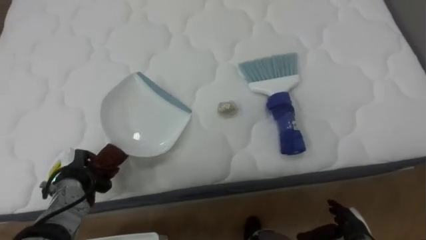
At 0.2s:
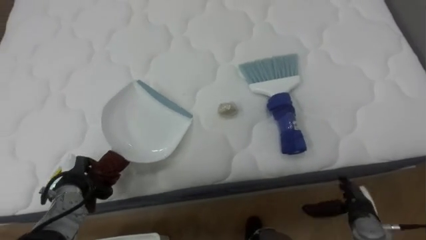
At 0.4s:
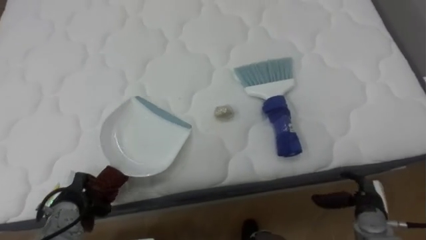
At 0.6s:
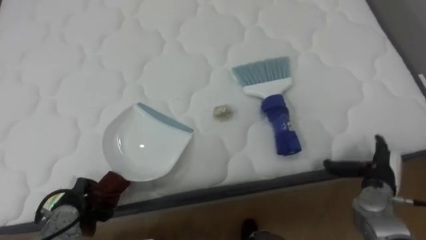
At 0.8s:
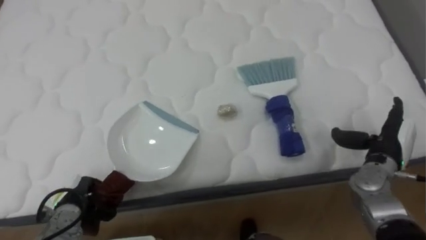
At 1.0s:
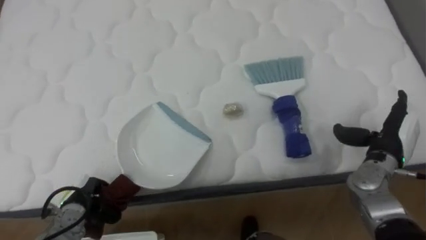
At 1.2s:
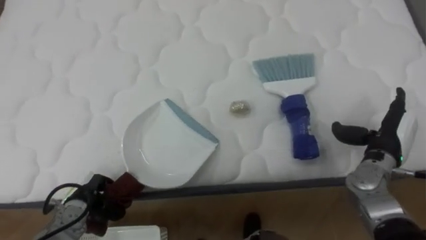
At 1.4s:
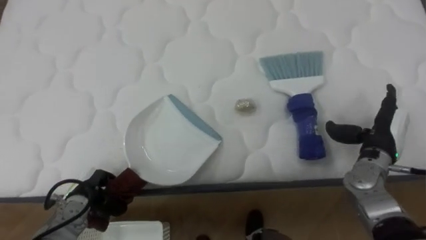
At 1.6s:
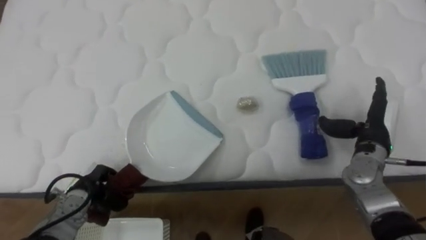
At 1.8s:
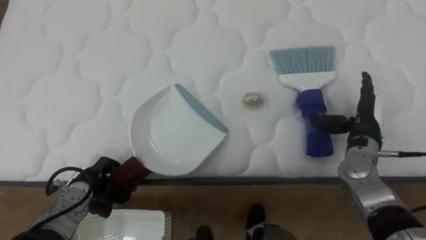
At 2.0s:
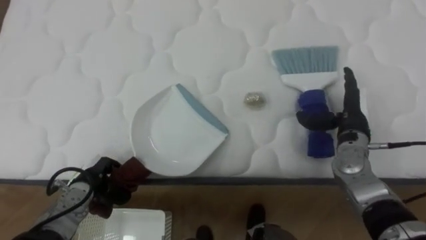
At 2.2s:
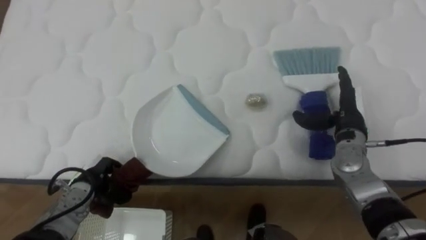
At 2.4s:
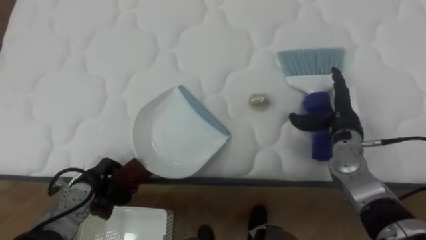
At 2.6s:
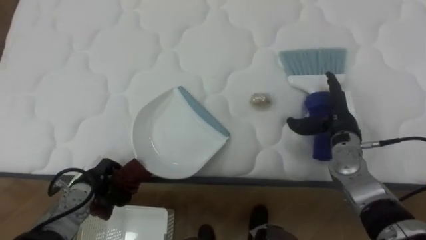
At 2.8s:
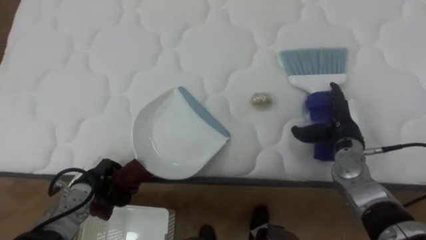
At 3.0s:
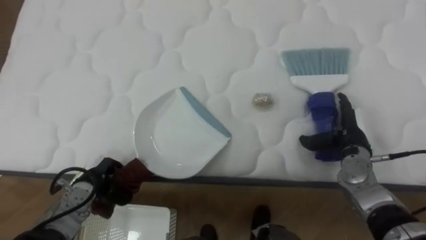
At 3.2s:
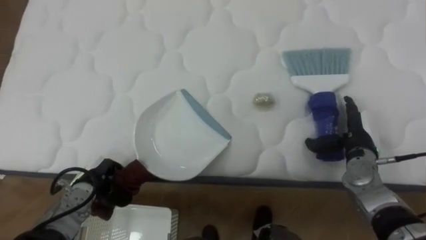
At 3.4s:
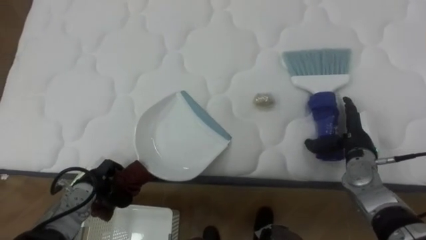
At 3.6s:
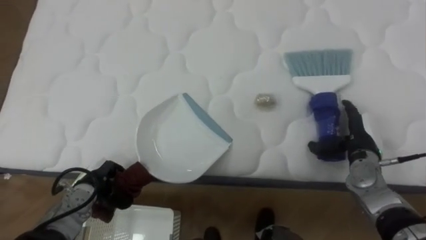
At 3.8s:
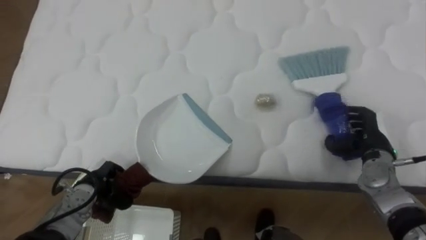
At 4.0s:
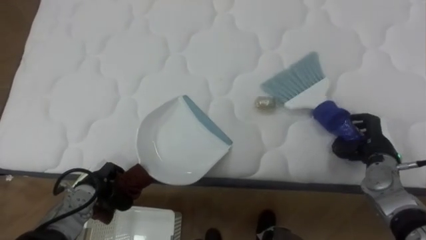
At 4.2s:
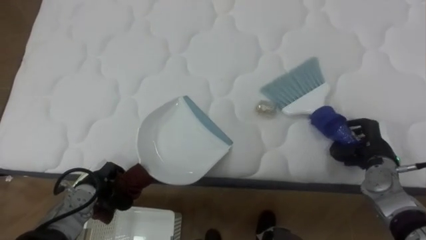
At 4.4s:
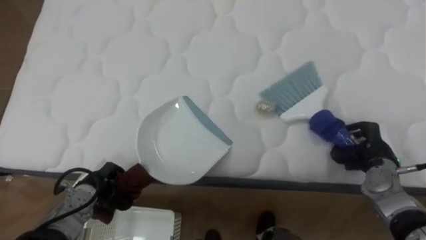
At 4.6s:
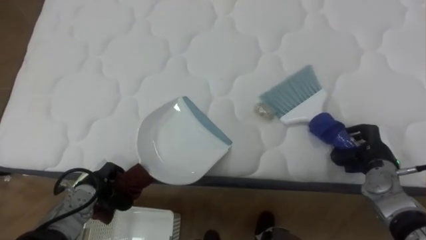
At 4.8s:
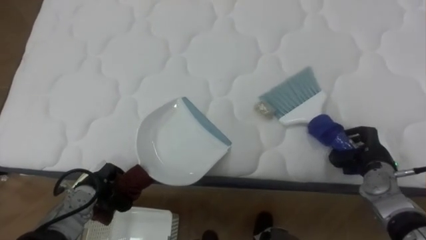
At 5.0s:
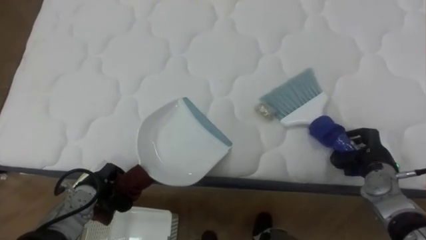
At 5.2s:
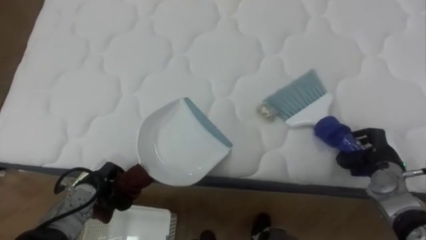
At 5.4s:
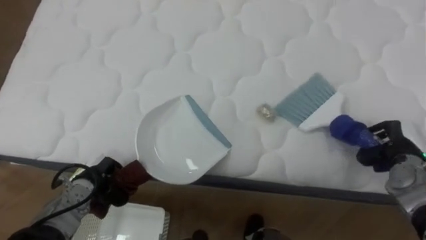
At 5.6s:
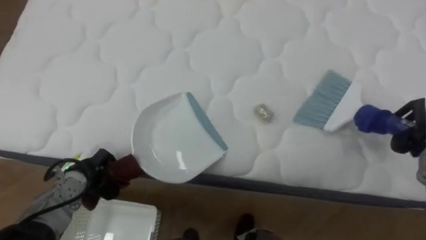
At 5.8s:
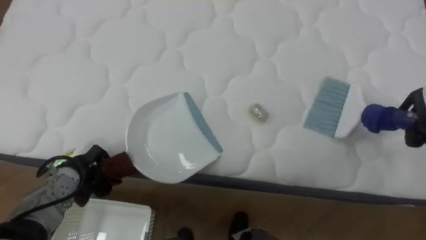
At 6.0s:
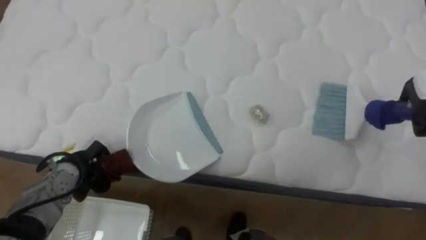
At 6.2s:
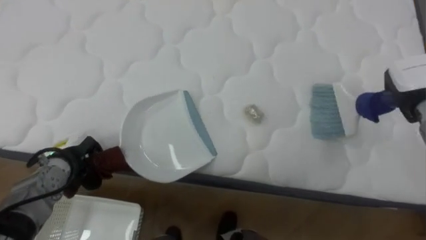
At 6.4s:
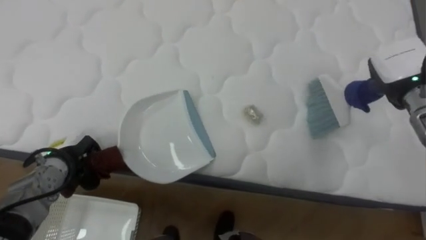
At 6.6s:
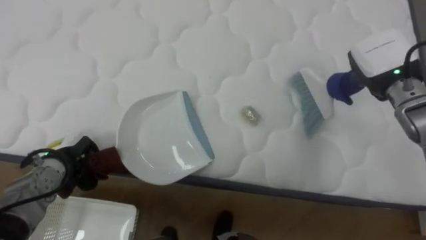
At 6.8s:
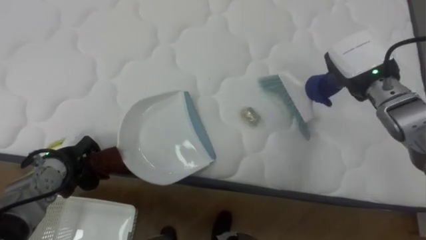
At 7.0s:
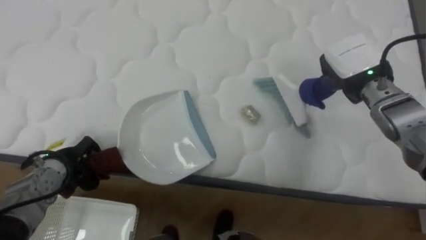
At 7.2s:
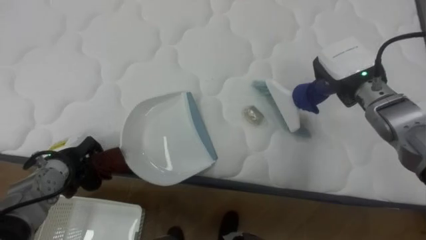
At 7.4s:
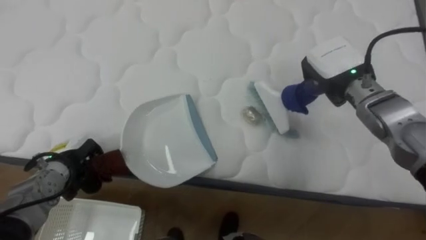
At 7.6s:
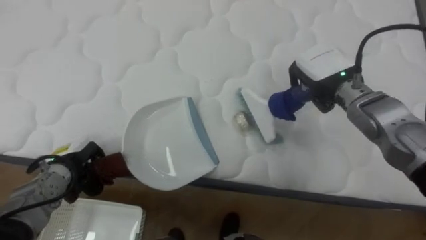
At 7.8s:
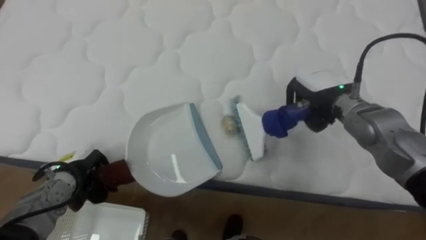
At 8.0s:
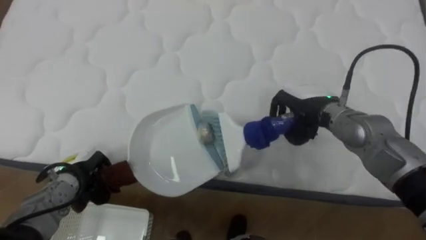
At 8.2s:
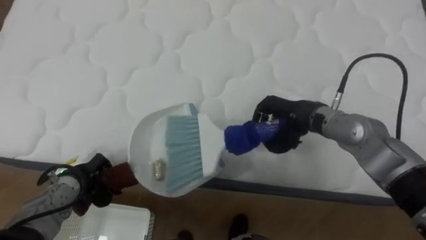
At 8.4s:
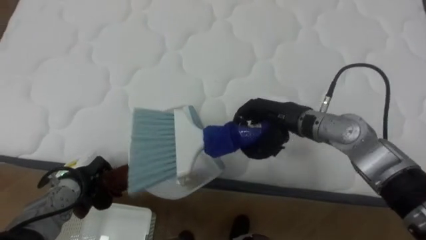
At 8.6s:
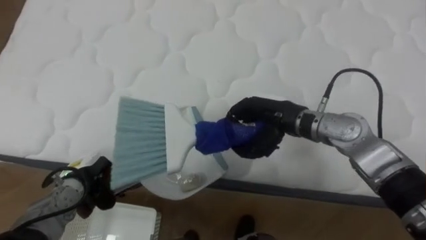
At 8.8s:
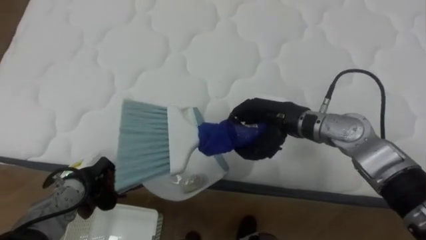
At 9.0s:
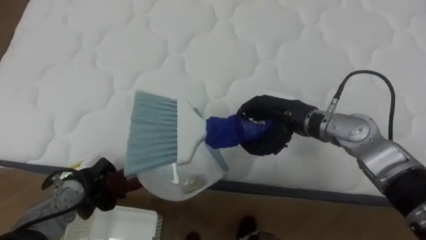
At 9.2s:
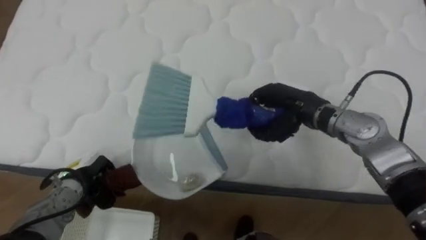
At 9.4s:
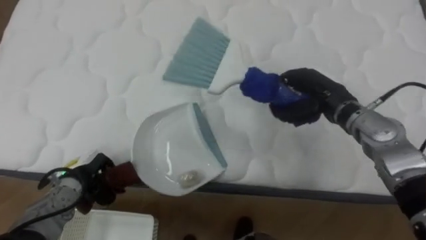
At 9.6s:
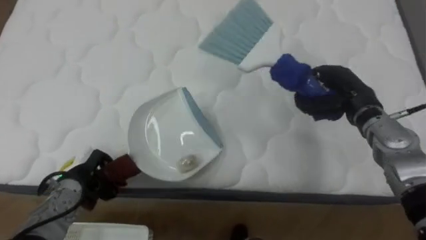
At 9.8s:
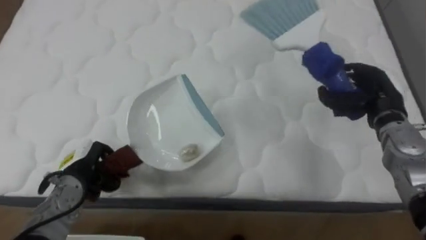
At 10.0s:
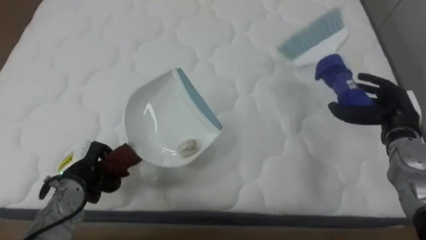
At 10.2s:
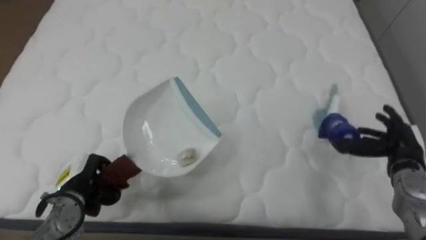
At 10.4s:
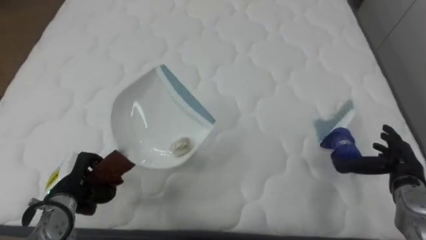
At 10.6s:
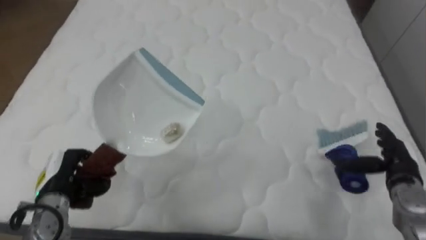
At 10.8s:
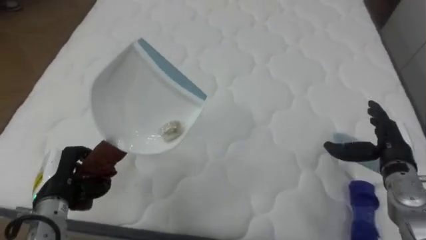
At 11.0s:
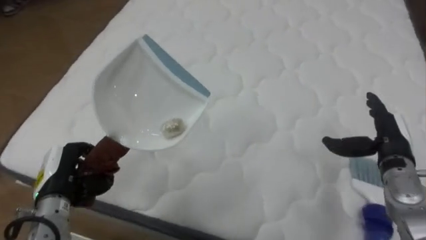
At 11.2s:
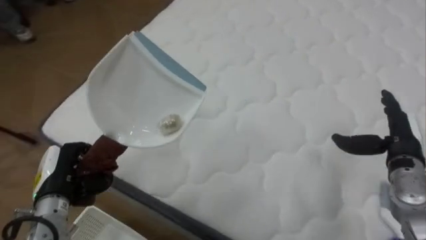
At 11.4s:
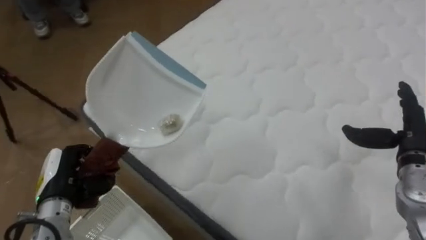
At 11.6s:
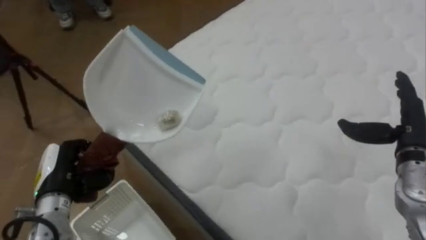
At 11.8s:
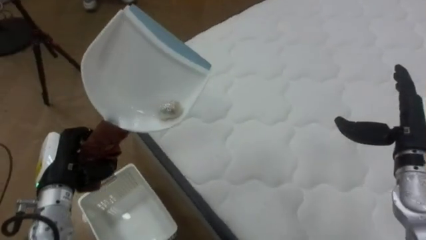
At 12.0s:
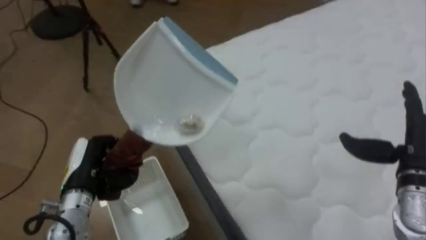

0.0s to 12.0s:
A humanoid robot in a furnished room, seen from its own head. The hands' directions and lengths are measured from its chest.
Task of the whole recording: Pick up the brush on your right and the dustpan on your left. Use the brush to sweep the crumpled paper on the bed into the dustpan, then turn left and empty it into the basket.
0.0s to 1.6s: The right hand moves upward and forward, roughly 25 cm.
3.0s to 4.4s: The right hand goes roughly 5 cm to the right, and closes up.
4.4s to 6.0s: The left hand shifts by roughly 5 cm.
7.6s to 9.0s: The right hand heads to the left and downward, covering some 10 cm.
9.0s to 10.4s: The right hand goes approximately 25 cm to the right, and opens up.
10.4s to 12.0s: The robot turns to its left by some 60 degrees. The right hand travels upward by some 10 cm, while the left hand shifts by roughly 5 cm.

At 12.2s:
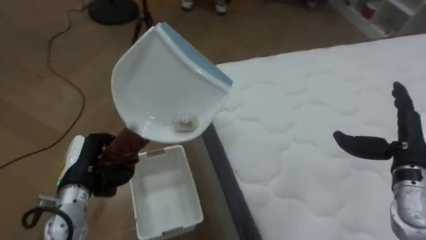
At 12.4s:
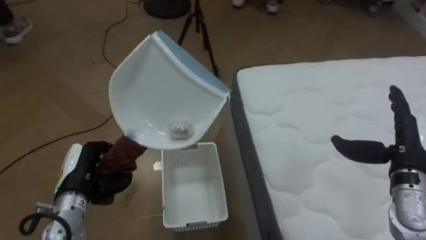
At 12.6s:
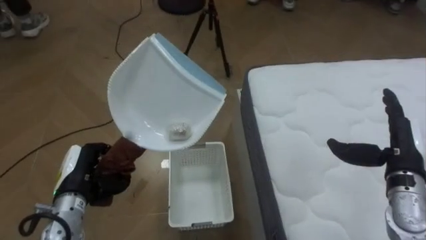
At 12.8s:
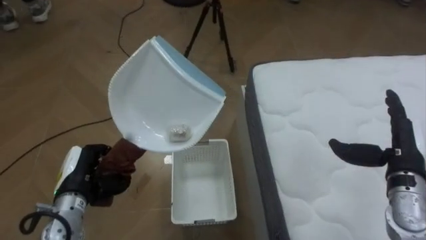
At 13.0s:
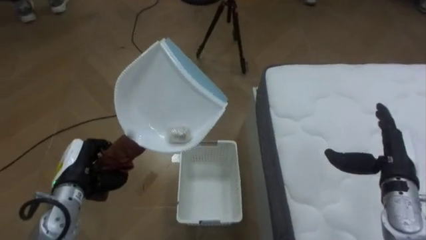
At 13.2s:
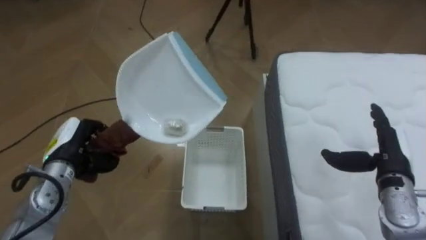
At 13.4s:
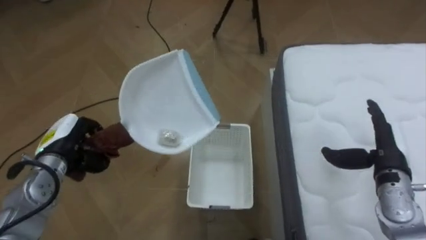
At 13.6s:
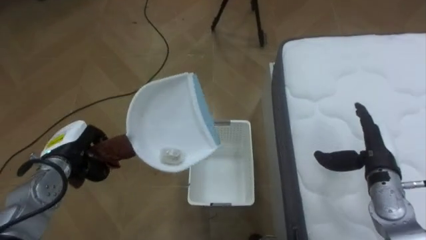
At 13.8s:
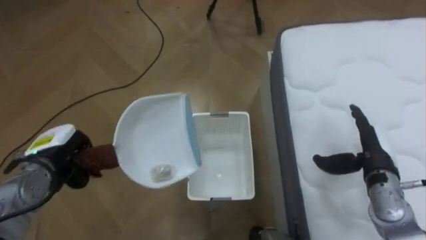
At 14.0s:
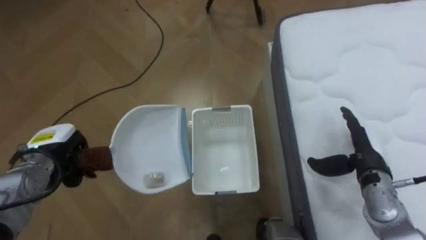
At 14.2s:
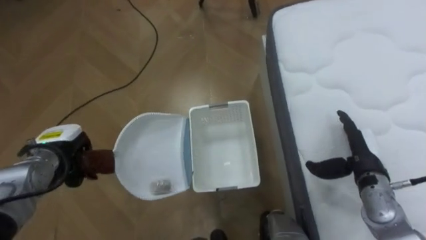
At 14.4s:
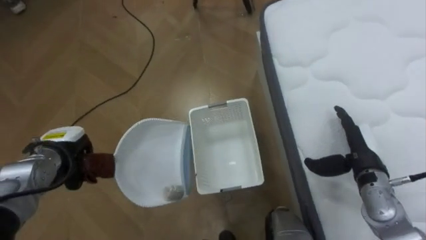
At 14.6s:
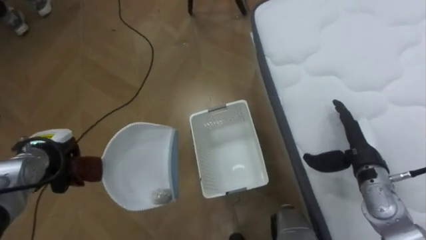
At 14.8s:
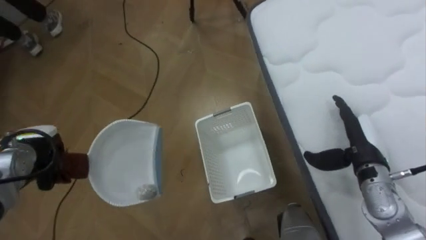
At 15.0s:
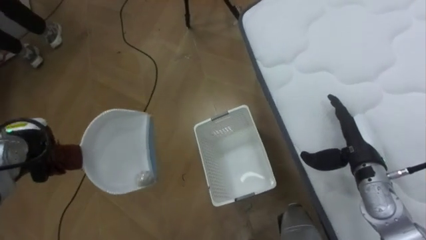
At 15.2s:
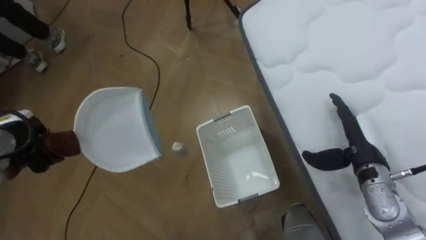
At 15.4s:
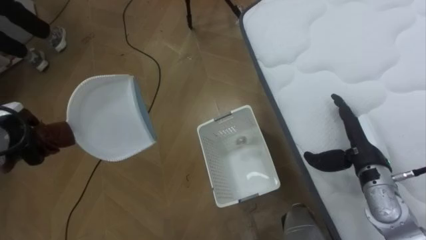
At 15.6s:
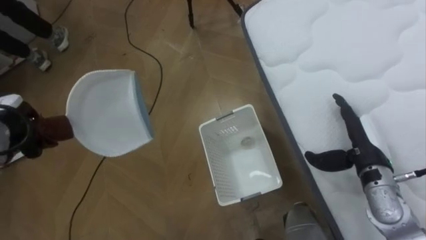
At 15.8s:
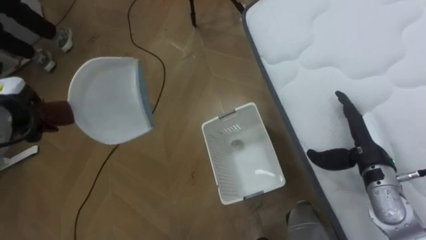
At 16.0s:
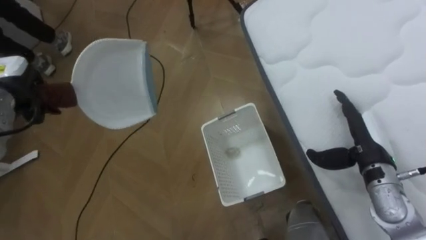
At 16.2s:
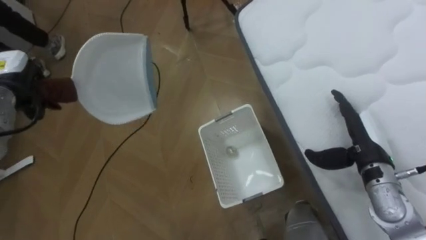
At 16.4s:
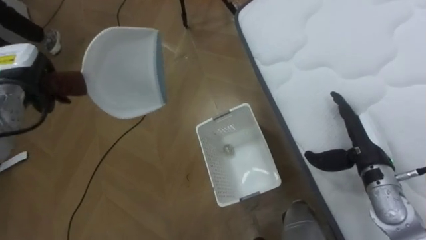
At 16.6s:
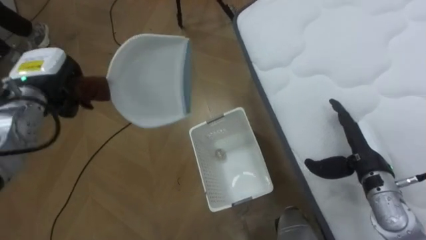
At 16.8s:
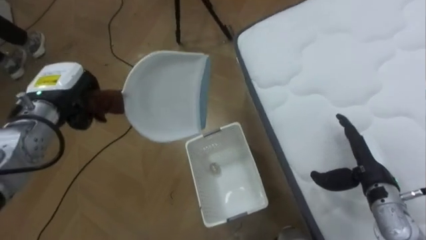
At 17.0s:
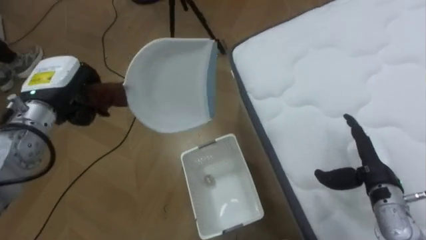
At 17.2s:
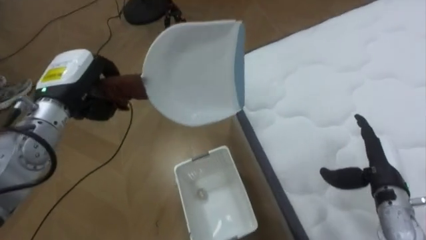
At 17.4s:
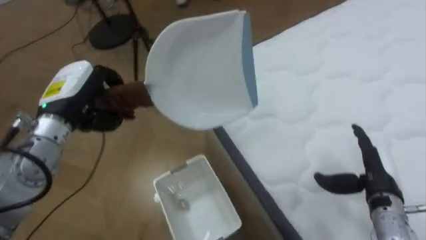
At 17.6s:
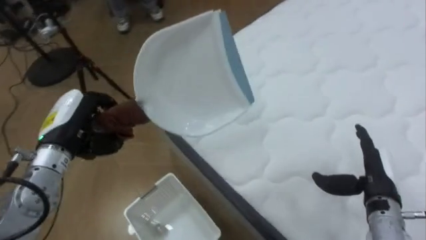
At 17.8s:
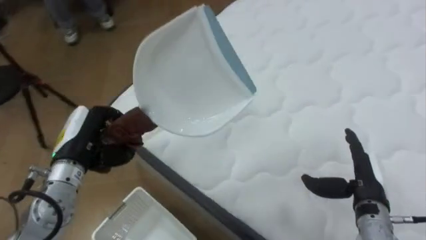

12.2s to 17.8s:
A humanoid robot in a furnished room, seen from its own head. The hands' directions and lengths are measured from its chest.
Task of the whole recording: Pick up the brush on your right and the dustpan on your left. Use the brush to sweep the crumpled paper on the bed into the dustpan, then turn left and empty it into the basket.
12.2s to 13.6s: The robot rotates some 25 degrees to its left. The left hand changes place by some 5 cm, while the right hand ends up approximately 5 cm from where it was.
13.6s to 15.0s: The left hand travels to the left by roughly 10 cm.
15.0s to 16.4s: The left hand travels upward and forward by some 15 cm.
16.4s to 17.8s: The robot's body swings some 50 degrees to its right. The left hand travels to the right, backward and downward by approximately 15 cm; the right hand moves backward, approximately 5 cm.
